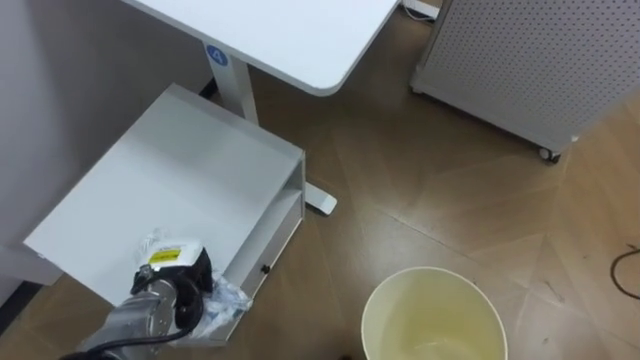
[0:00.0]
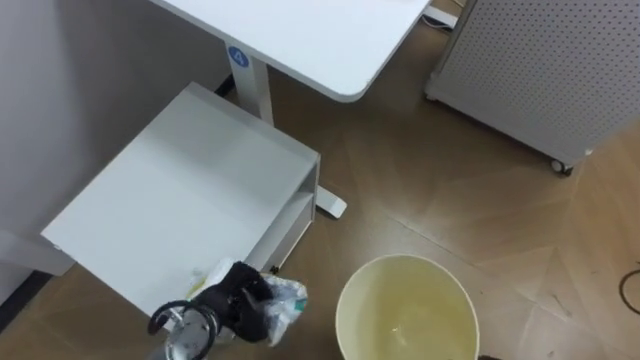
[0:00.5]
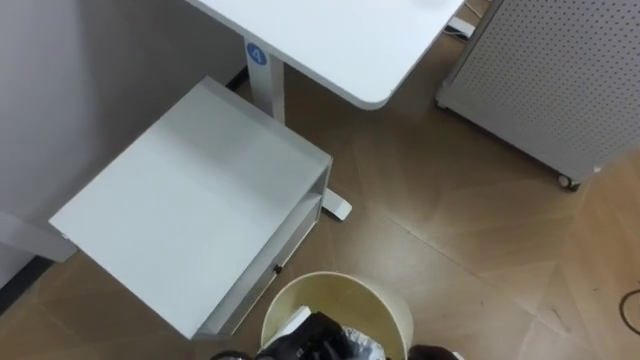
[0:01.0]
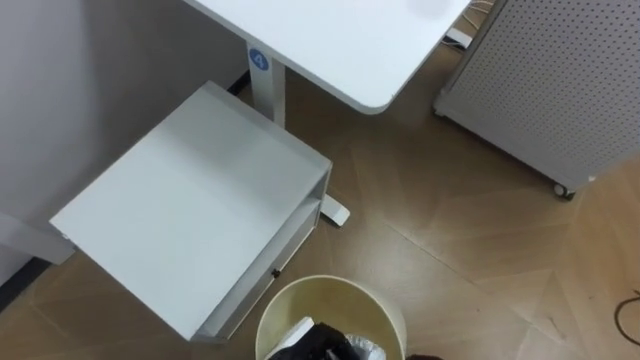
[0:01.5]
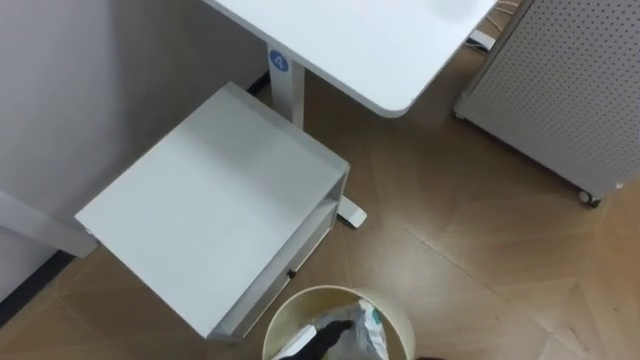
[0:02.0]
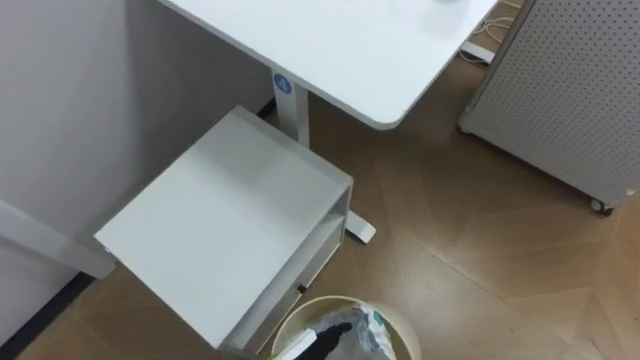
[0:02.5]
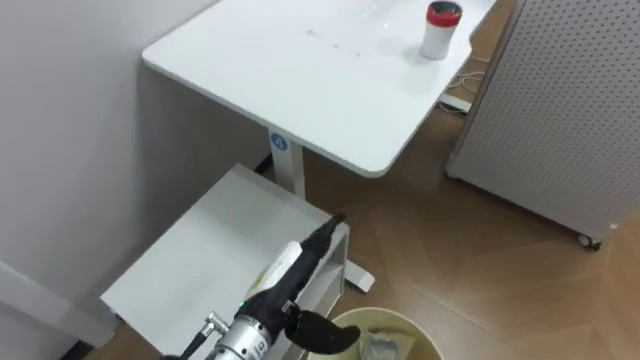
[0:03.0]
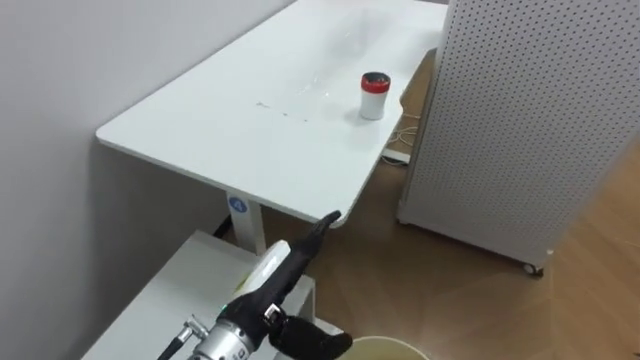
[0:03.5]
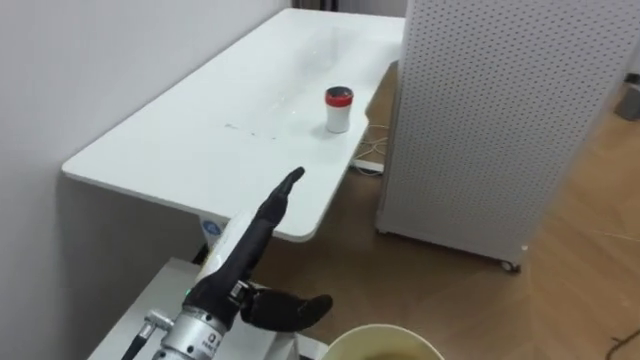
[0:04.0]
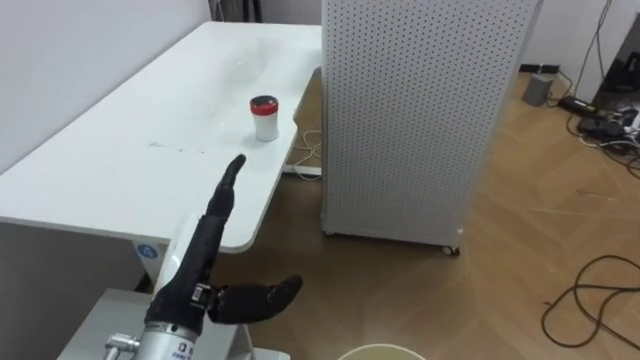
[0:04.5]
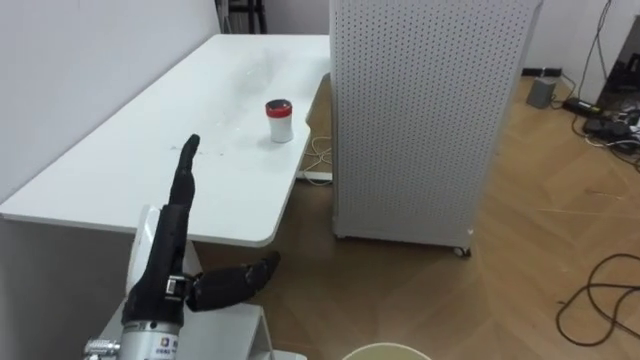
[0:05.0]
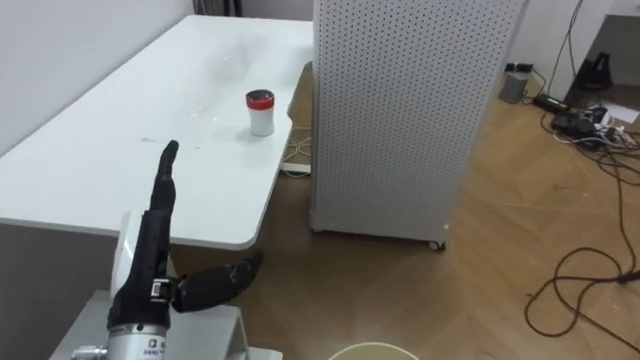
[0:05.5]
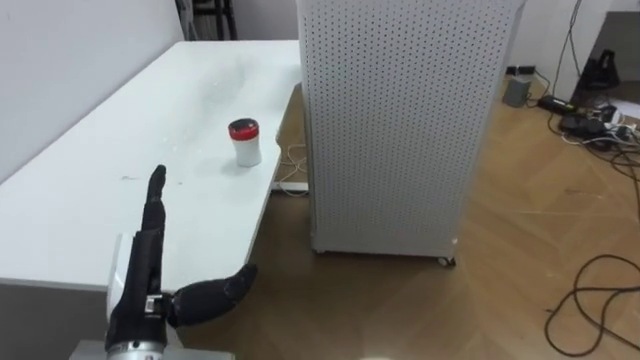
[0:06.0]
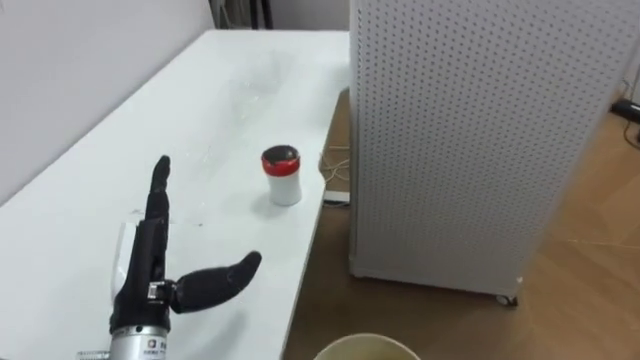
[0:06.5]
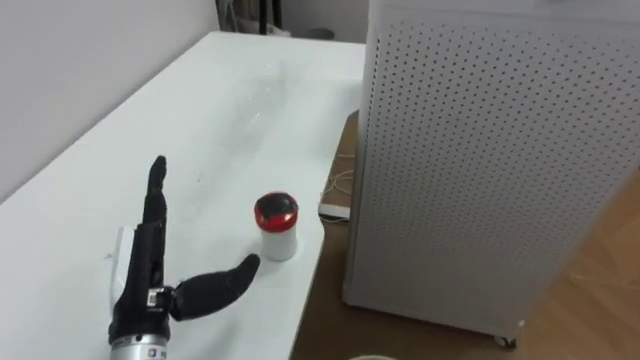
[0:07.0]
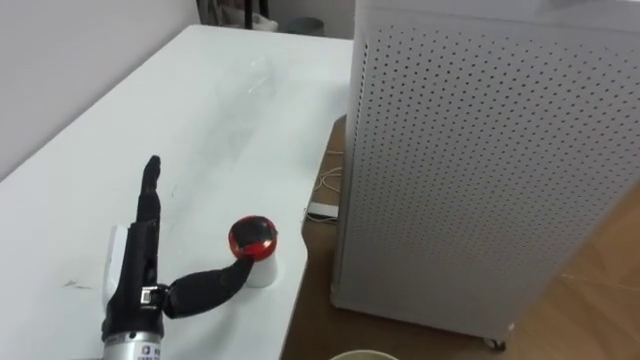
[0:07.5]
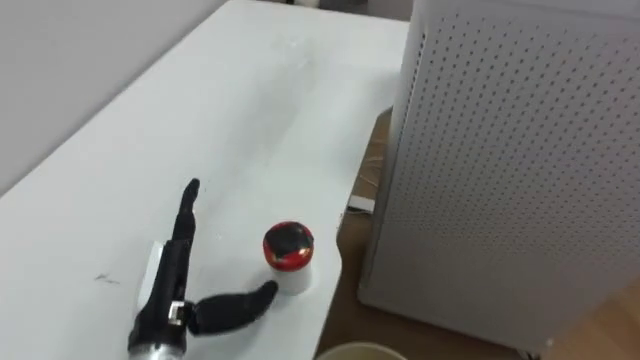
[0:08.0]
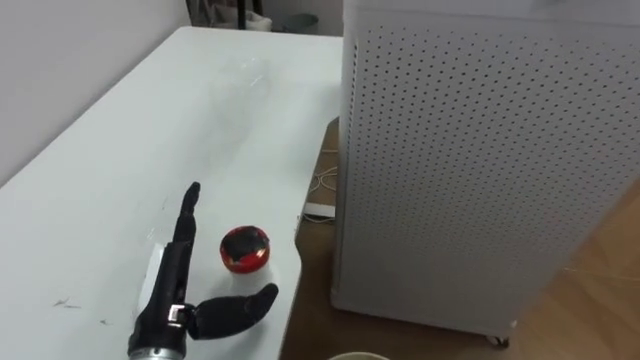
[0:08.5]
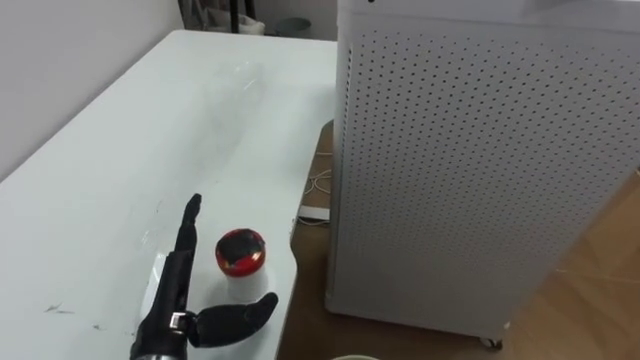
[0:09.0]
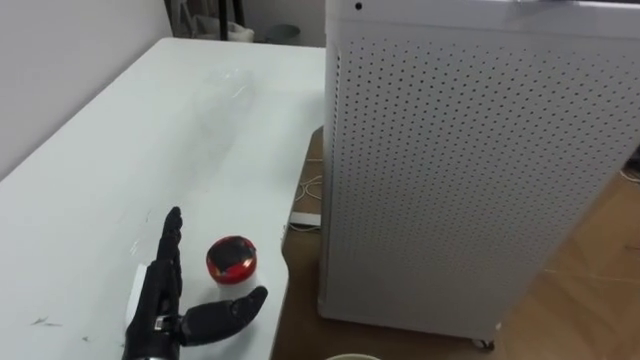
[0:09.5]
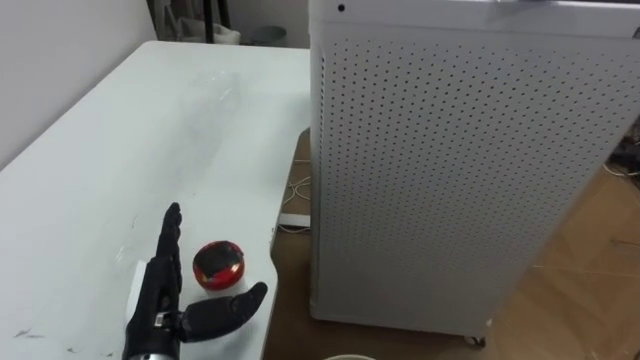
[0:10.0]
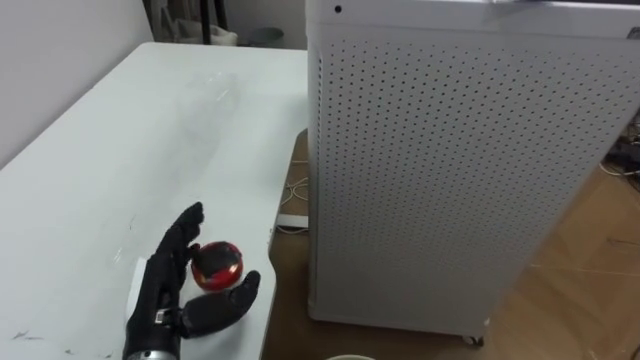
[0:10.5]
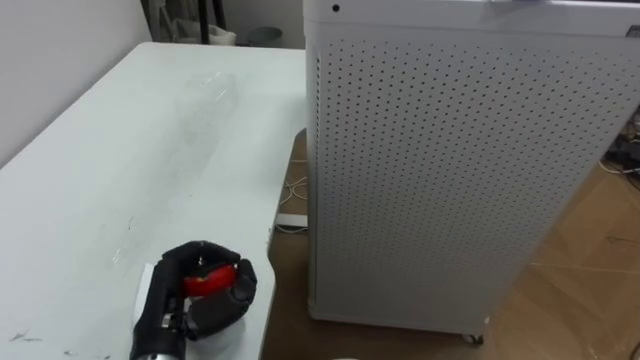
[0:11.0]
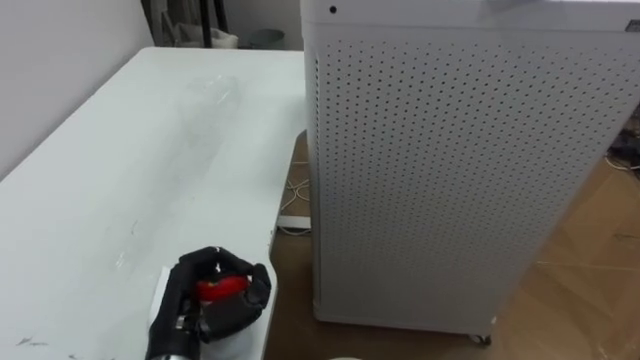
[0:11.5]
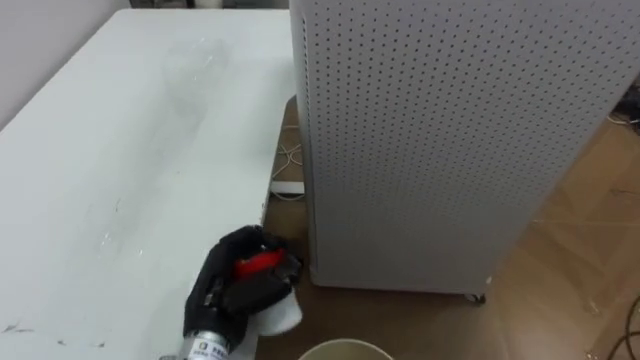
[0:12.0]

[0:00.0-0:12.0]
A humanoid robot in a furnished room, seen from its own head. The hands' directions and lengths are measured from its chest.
Task of the whole recording: Pick up the light blue package, the candy box, and the dark blue package separately, and put them into the trash can held in your right hand.
0:02.0 to 0:04.0: The robot faces some 20 degrees further to its right.
0:04.0 to 0:06.0: The left hand is displaced to the left by approximately 10 cm.
0:10.0 to 0:12.0: The left hand goes roughly 5 cm to the right, and closes its fingers.

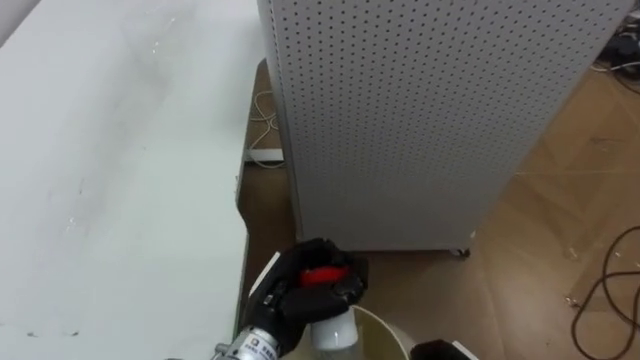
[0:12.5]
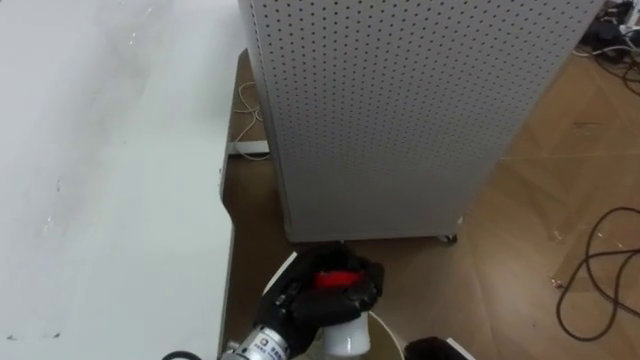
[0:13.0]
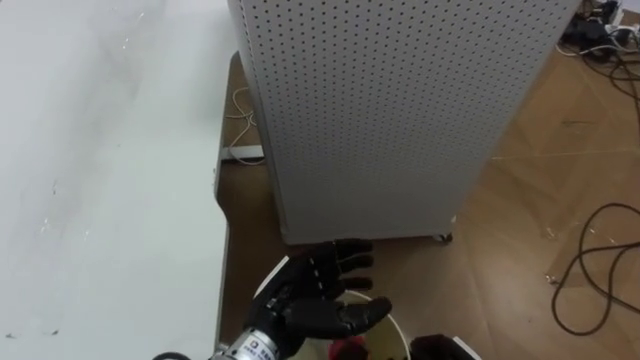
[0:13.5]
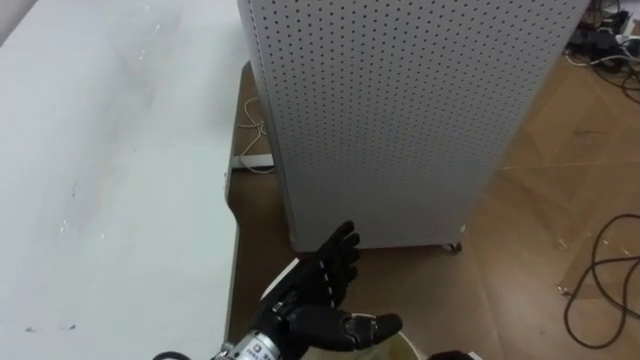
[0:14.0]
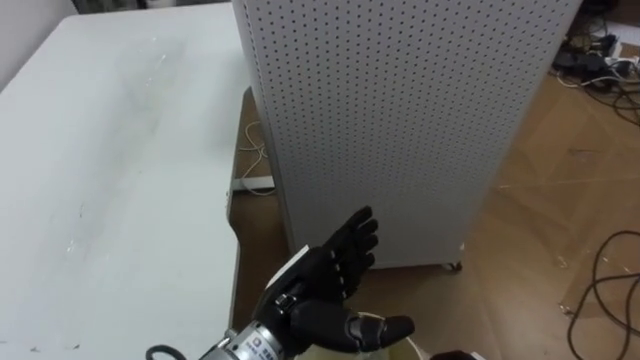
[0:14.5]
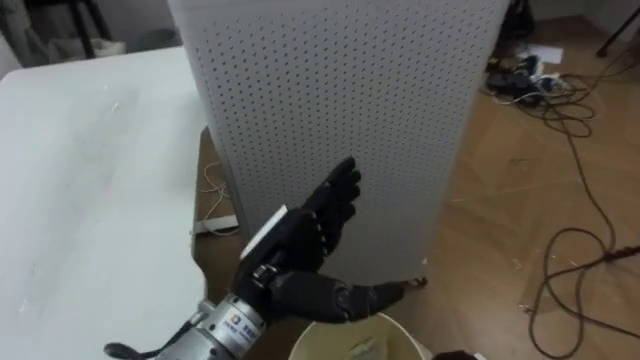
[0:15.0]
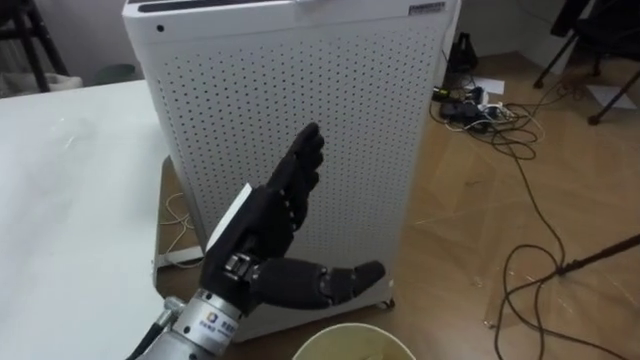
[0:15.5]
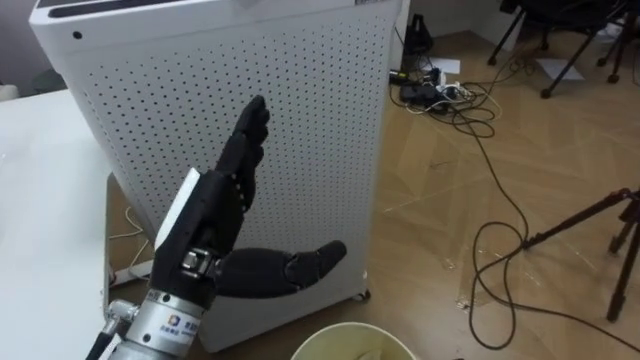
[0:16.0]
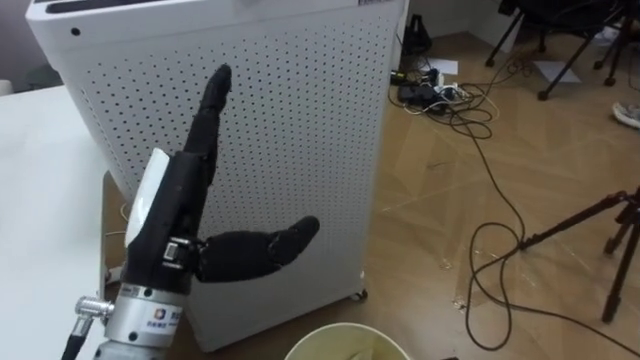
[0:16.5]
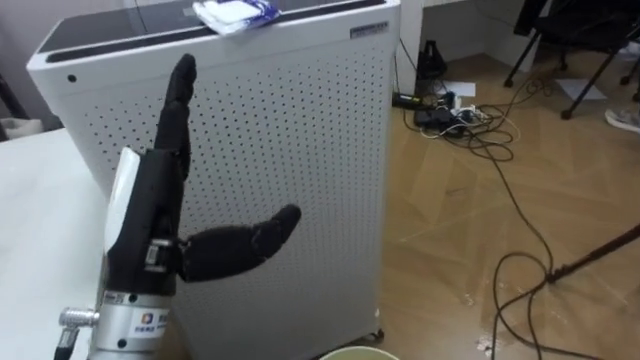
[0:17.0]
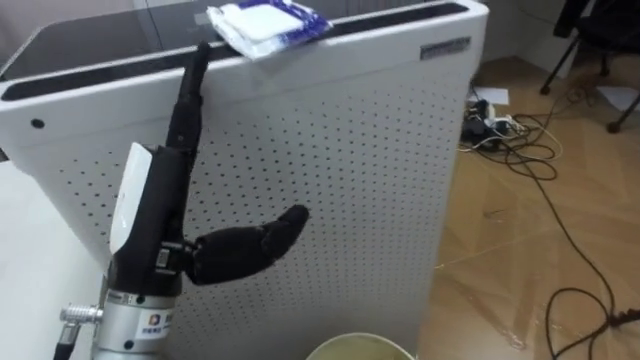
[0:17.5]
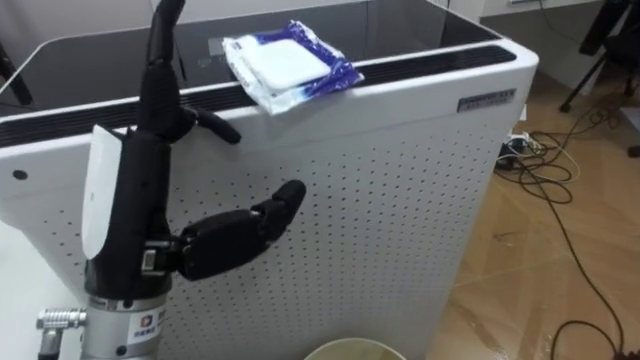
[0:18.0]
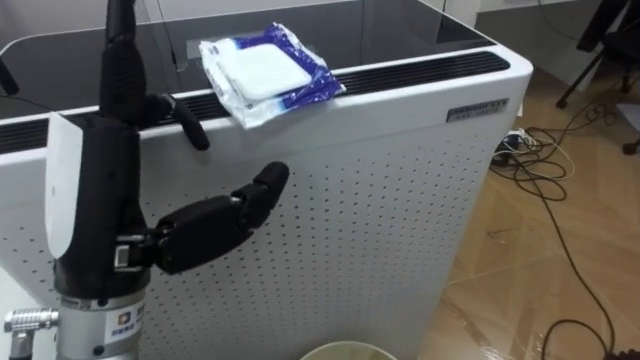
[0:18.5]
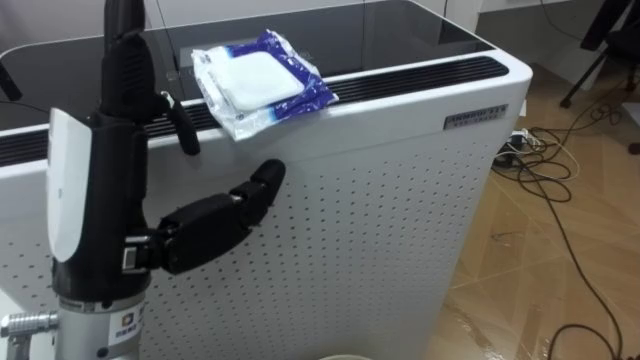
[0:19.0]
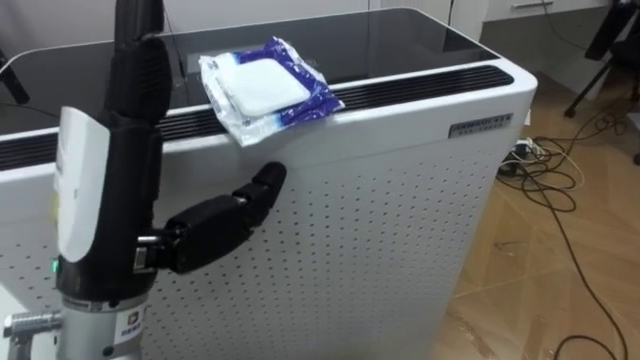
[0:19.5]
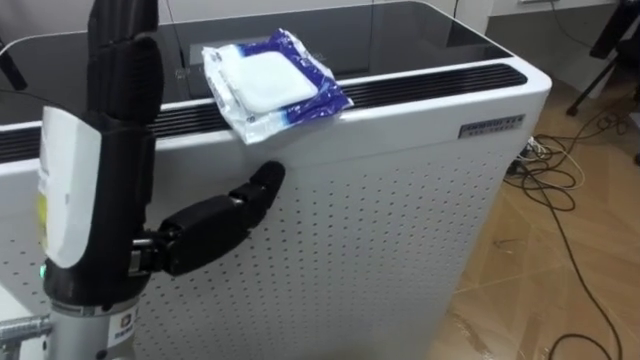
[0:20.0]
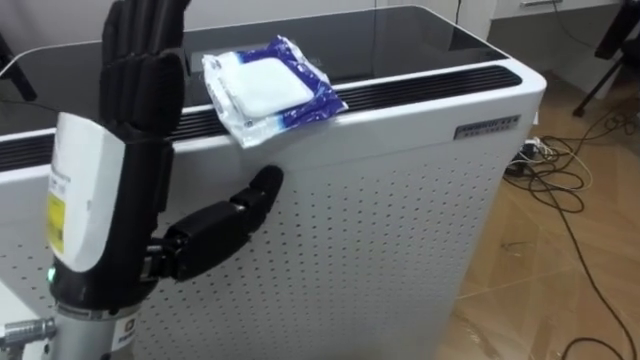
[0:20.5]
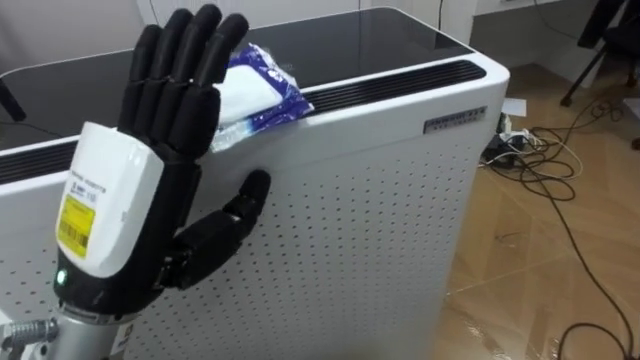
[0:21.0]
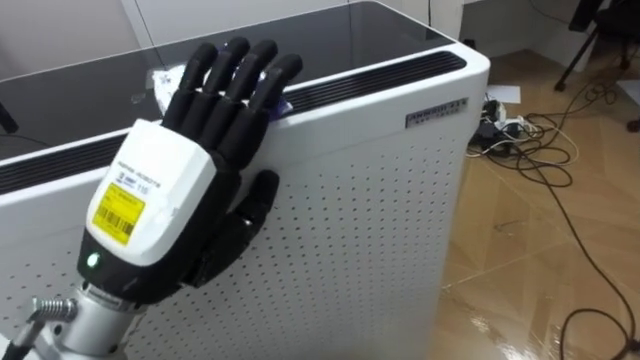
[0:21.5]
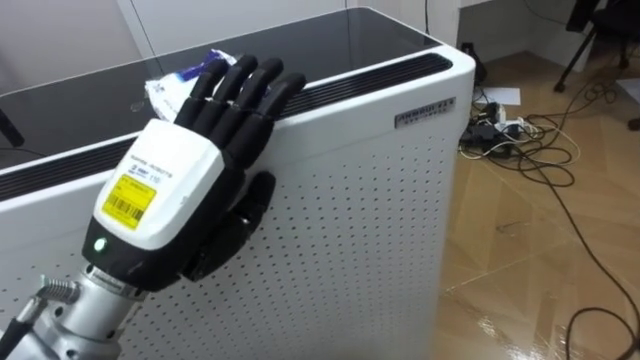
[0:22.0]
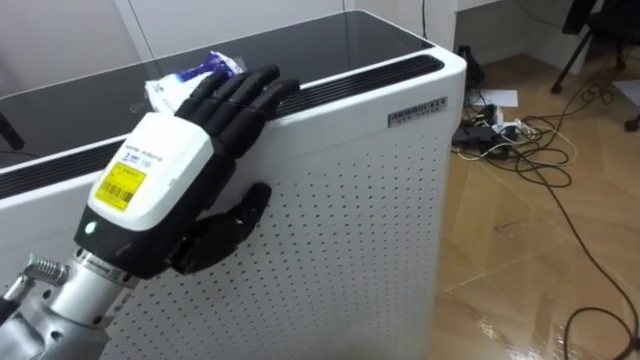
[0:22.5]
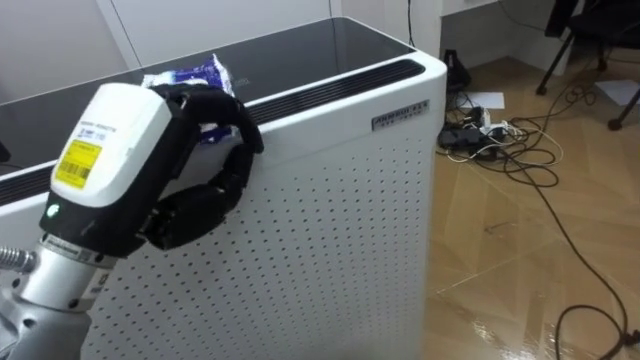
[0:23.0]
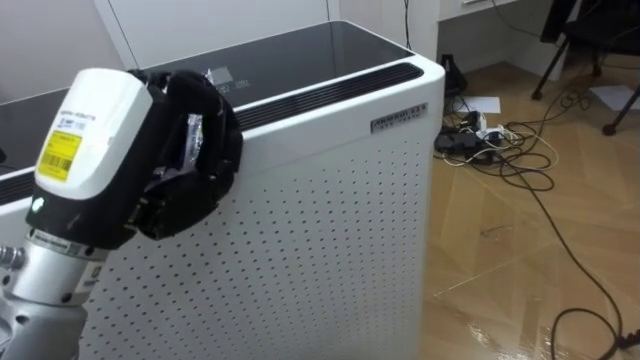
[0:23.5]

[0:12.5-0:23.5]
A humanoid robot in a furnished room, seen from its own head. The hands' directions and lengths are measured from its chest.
Task of the whole recording: Pick up the light blue package, the candy box, and the dark blue package separately, and put them into the trash can held in your right hand.
0:12.5 to 0:14.5: The left hand opens its fingers.
0:14.5 to 0:16.0: The robot turns to its right by about 25 degrees. The left hand shifts some 15 cm upward and to the left.
0:16.0 to 0:18.0: The left hand is displaced upward by approximately 5 cm.
0:21.5 to 0:23.5: The left hand closes its fingers.
